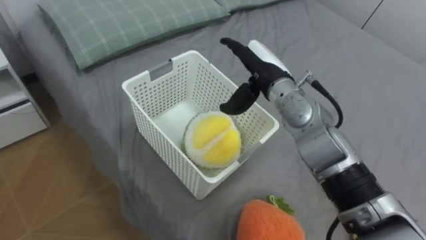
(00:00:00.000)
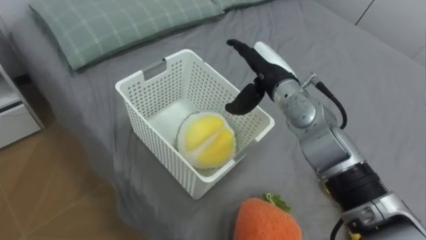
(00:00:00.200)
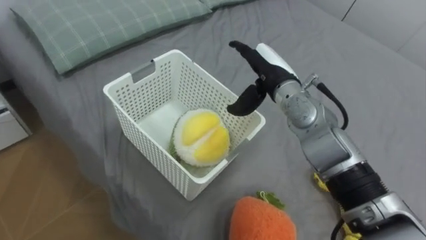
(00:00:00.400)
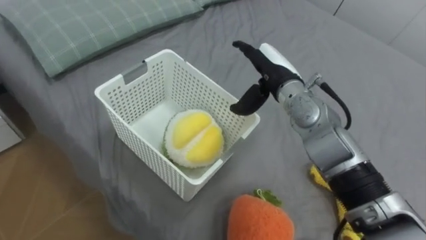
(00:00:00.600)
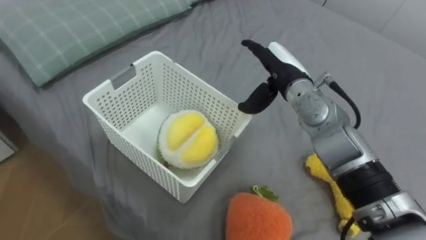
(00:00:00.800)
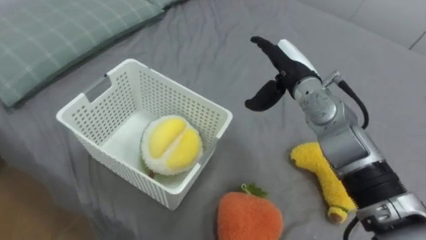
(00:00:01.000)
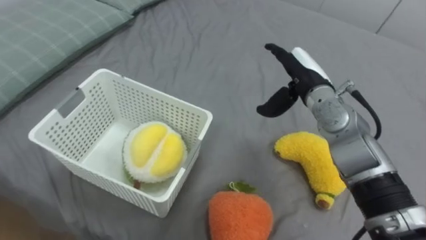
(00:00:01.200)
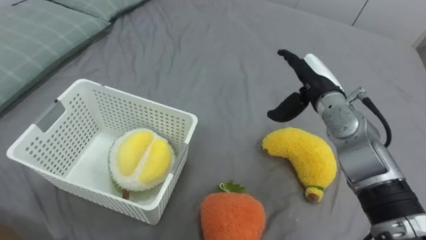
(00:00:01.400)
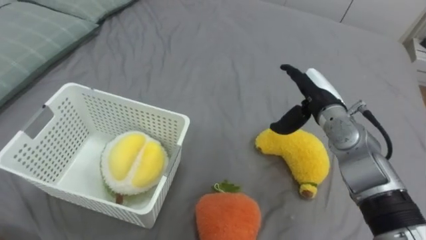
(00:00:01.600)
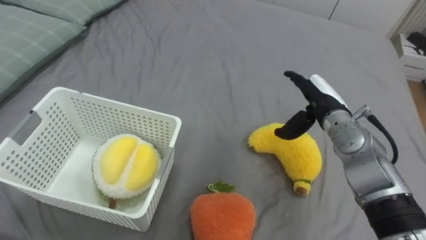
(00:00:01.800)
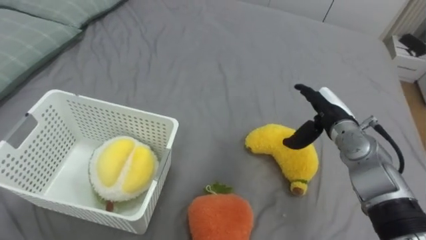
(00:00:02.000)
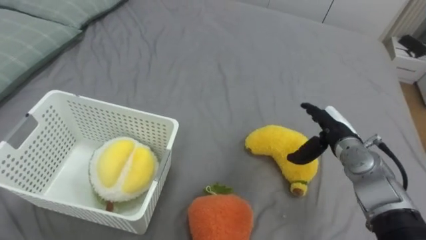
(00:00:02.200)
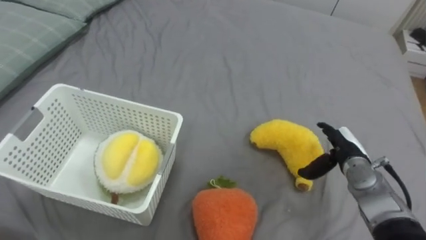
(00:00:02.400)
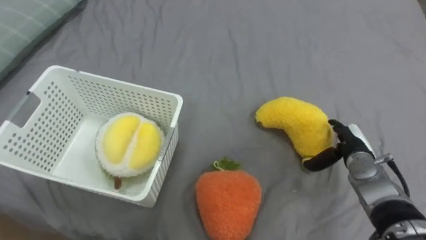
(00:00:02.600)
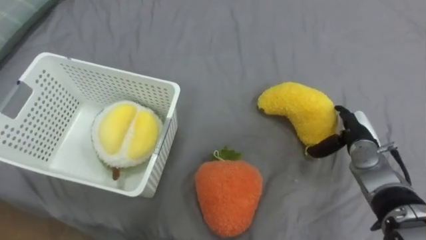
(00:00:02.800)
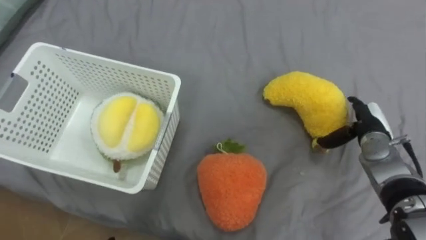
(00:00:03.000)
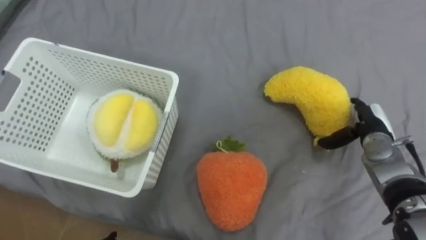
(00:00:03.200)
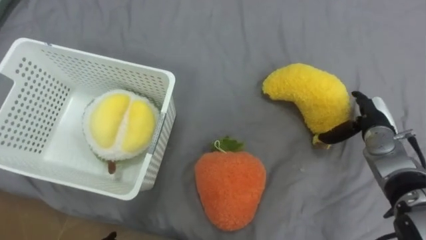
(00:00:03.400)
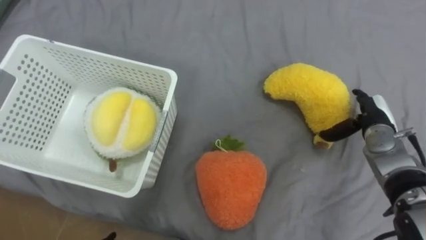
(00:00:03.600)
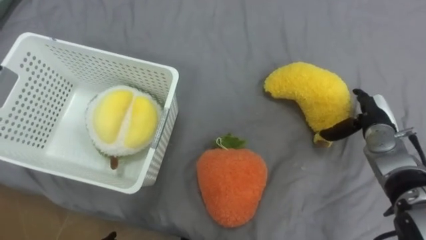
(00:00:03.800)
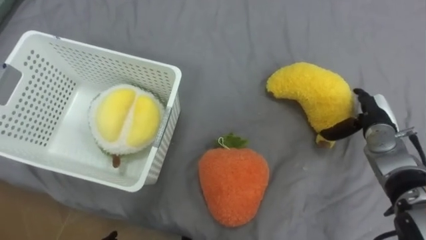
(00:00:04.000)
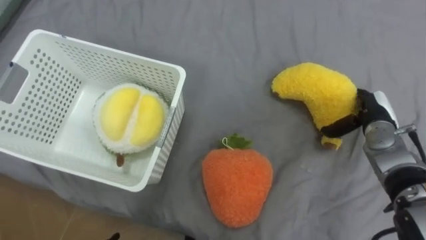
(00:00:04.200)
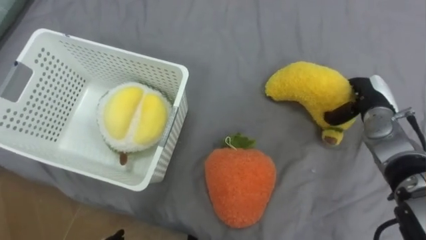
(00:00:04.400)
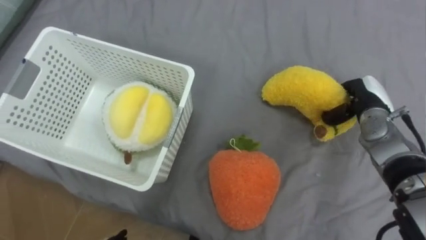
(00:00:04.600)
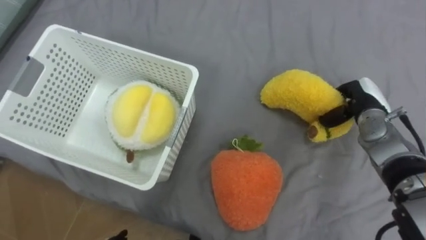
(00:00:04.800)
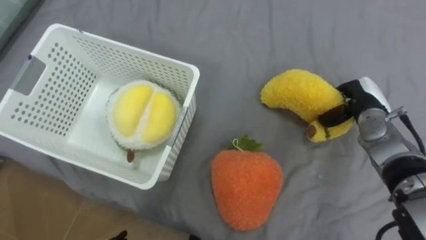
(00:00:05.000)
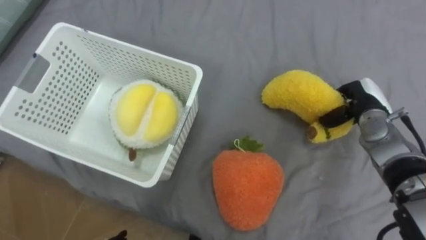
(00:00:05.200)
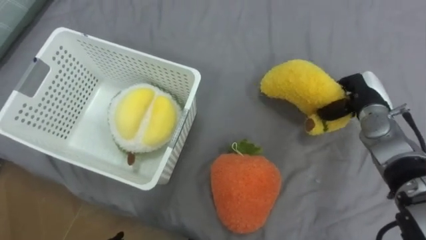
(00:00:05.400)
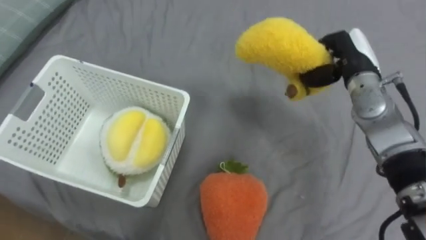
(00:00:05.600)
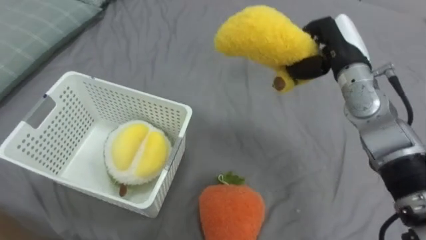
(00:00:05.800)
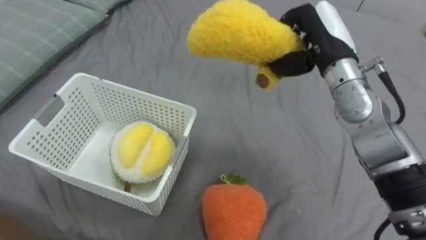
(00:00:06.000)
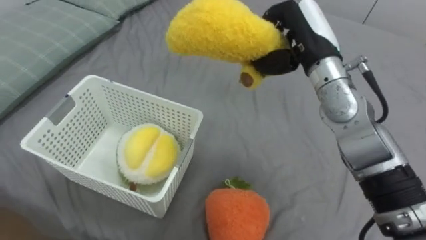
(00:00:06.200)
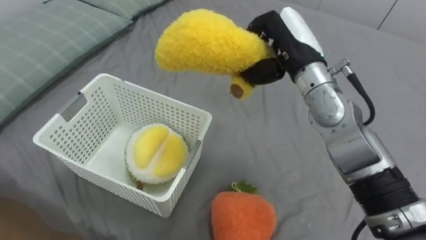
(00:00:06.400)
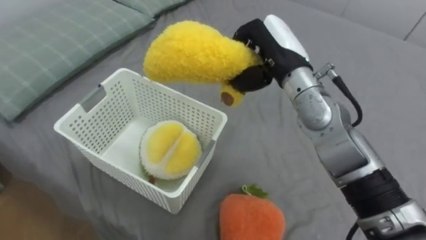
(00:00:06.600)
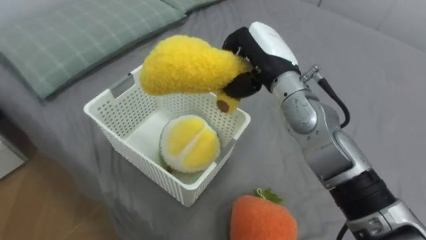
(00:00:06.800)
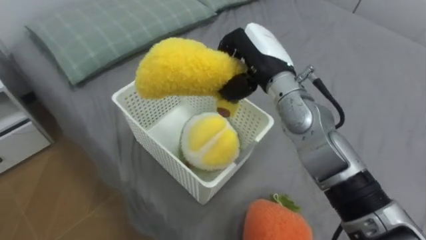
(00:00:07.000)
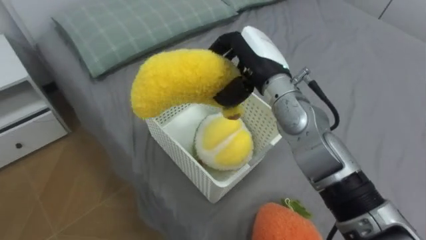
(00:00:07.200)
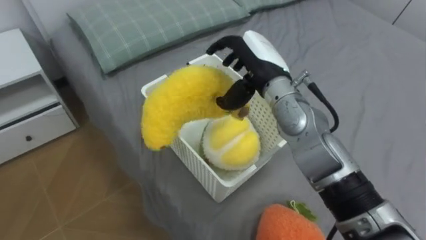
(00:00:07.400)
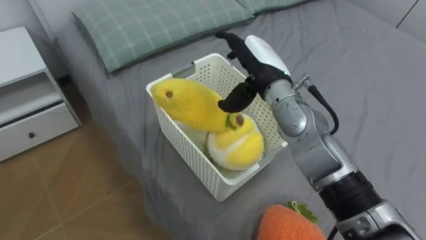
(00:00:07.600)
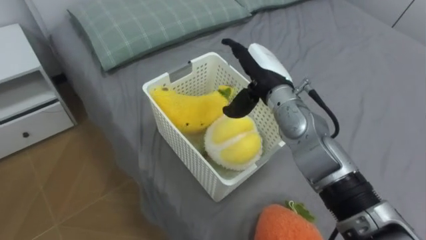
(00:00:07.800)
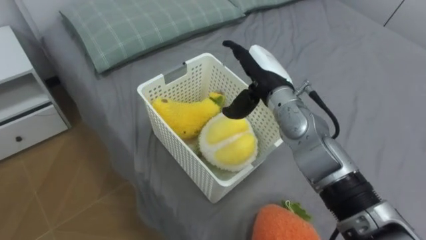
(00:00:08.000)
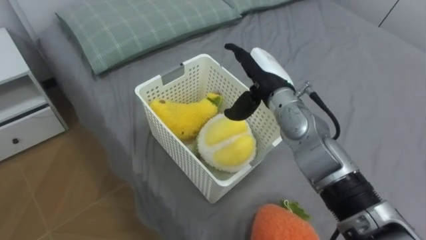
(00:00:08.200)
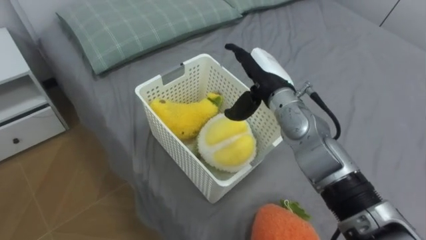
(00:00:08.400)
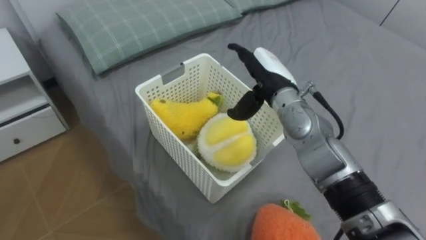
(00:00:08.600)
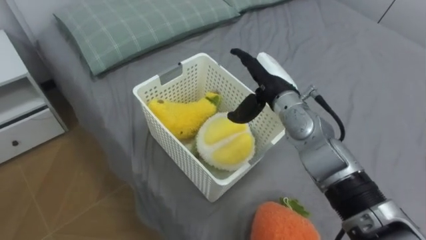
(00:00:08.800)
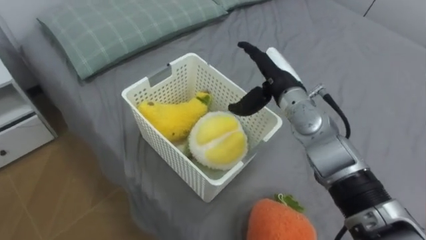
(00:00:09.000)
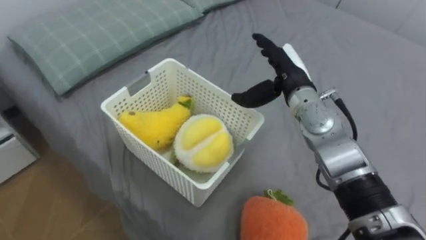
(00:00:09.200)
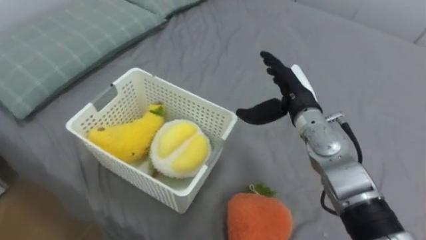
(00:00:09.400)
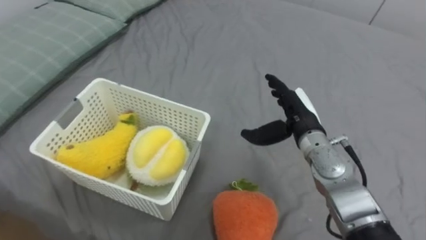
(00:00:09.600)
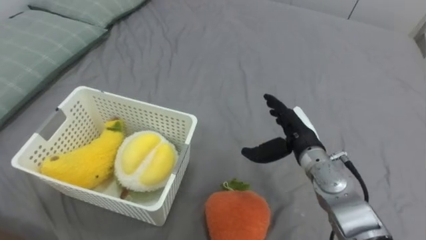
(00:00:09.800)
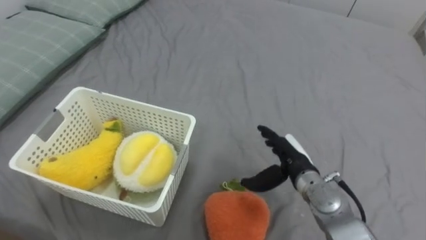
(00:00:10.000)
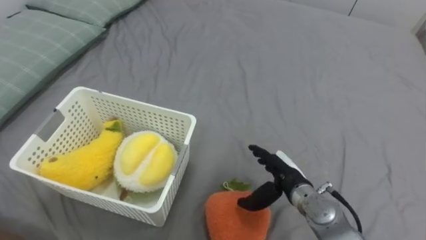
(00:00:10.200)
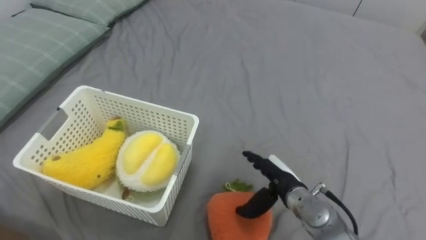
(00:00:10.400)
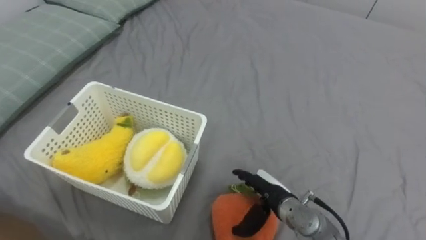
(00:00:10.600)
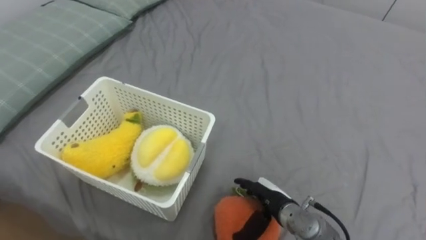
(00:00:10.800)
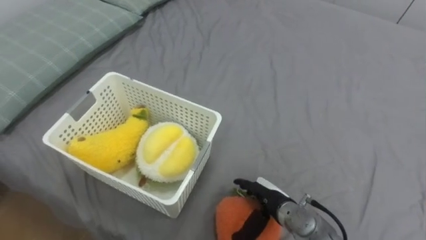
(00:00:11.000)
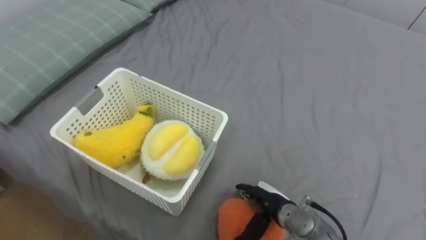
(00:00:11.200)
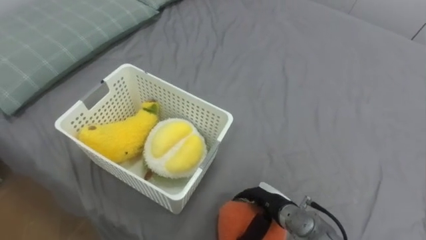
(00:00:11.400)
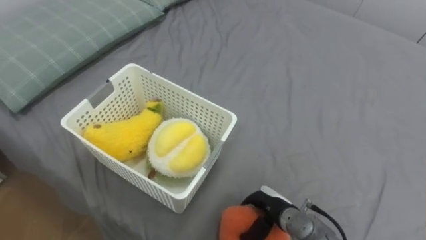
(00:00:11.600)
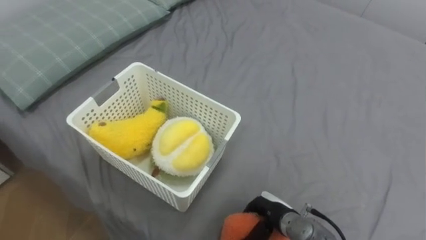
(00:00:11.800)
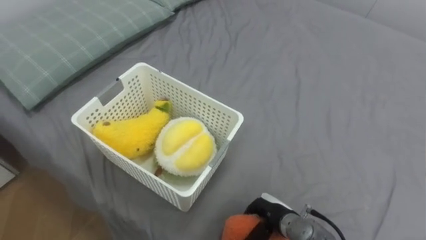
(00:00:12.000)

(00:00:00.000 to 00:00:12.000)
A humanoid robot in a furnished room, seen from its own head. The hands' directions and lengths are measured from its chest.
Task of the whole recording: Put the toys on the bed into the basket on the left.
00:00:00.000 - 00:00:01.600: The right hand goes some 10 cm to the right and downward.
00:00:01.600 - 00:00:03.000: The right hand shifts approximately 15 cm to the right and downward.
00:00:03.000 - 00:00:04.400: The right hand moves about 5 cm, and closes up.
00:00:04.400 - 00:00:06.000: The right hand is displaced upward and to the left by roughly 20 cm, and closes.
00:00:06.000 - 00:00:07.600: The right hand goes about 10 cm to the left, and opens its fingers.
00:00:09.000 - 00:00:10.400: The right hand travels downward and backward by approximately 20 cm.
00:00:10.400 - 00:00:12.000: The right hand heads downward, covering roughly 5 cm, and closes up.

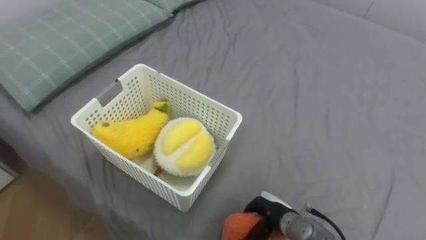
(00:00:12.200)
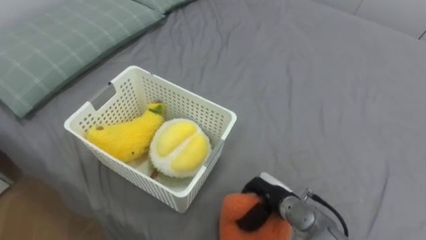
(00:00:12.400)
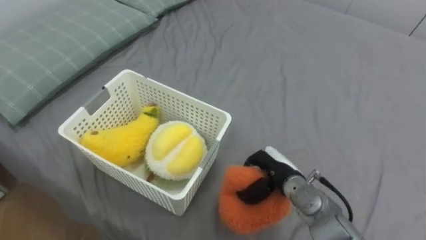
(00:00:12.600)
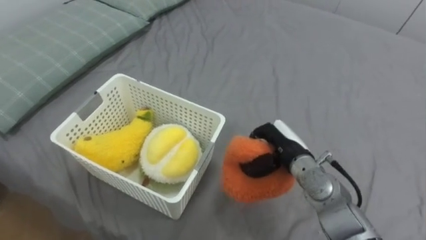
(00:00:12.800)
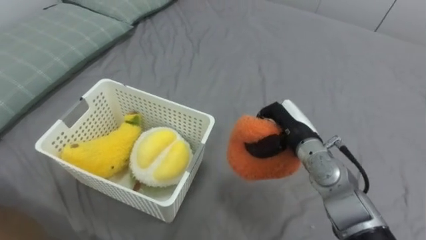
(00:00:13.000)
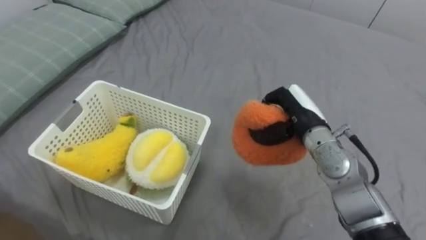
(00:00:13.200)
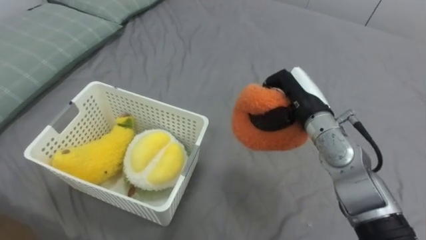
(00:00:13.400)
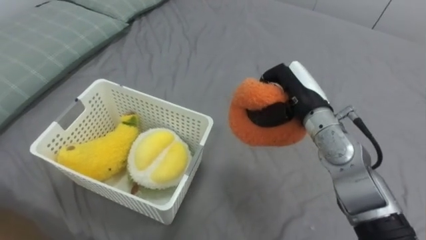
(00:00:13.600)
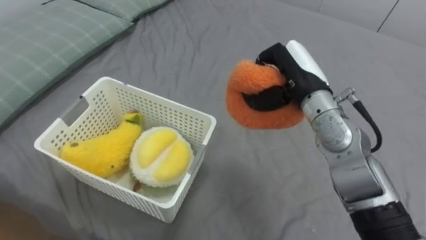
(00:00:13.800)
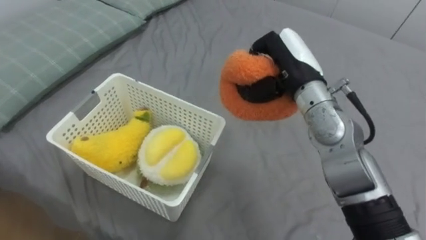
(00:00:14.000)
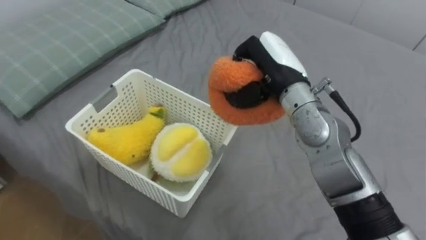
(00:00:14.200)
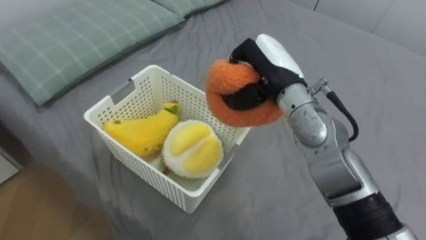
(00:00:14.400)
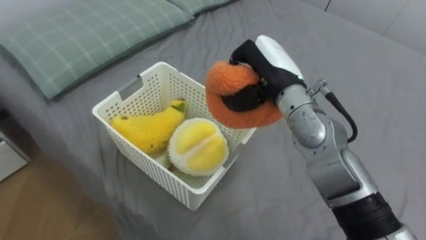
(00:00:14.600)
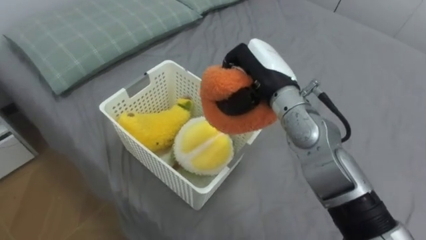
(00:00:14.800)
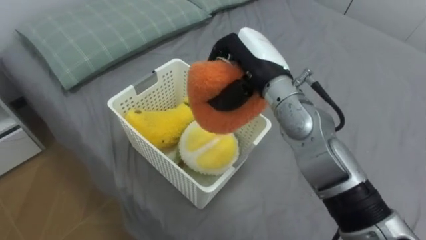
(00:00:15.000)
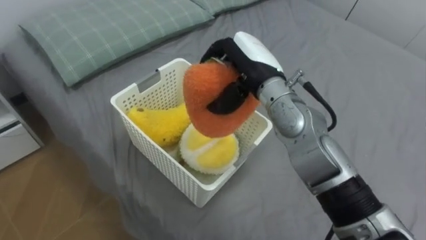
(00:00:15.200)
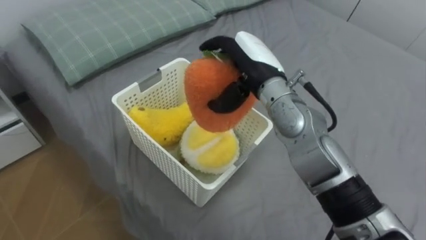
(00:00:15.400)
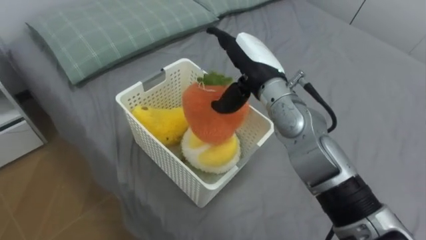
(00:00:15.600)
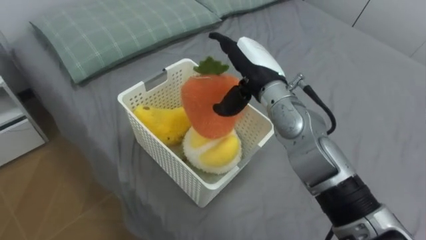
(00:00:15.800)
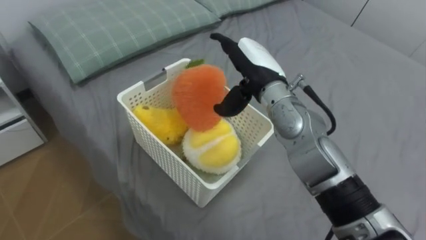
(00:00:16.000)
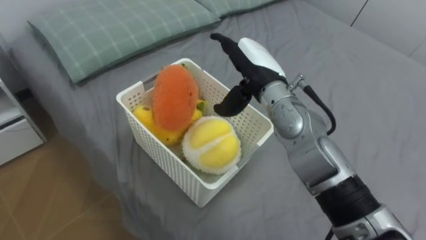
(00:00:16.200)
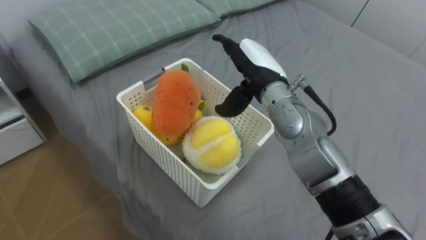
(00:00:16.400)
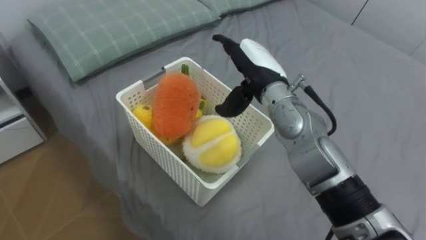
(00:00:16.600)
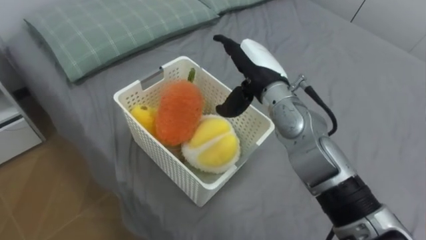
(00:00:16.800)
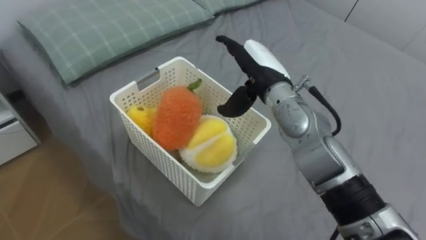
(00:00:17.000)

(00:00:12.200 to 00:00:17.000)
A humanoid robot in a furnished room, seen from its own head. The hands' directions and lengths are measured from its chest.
Task of the whole recording: Put the toys on the bed into the basket on the left.
00:00:12.200 - 00:00:13.800: The right hand moves upward and forward, about 30 cm.
00:00:13.800 - 00:00:15.400: The right hand heads to the left, covering some 10 cm, and opens its fingers.
